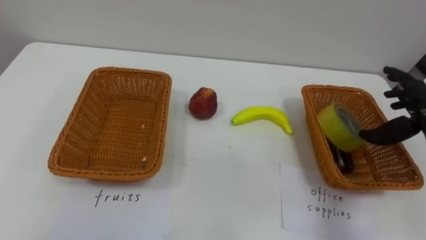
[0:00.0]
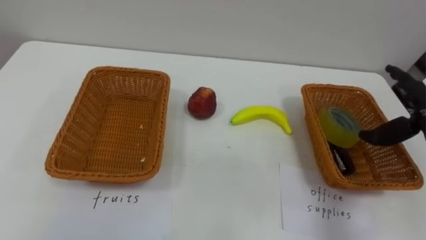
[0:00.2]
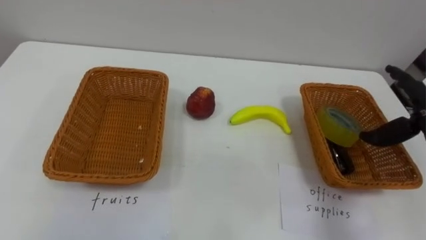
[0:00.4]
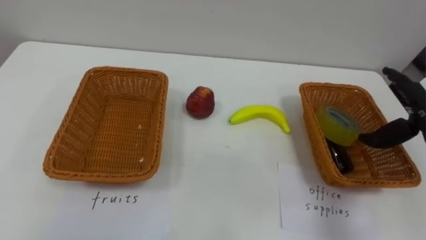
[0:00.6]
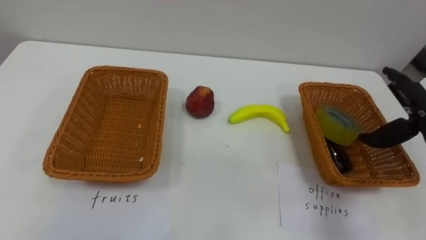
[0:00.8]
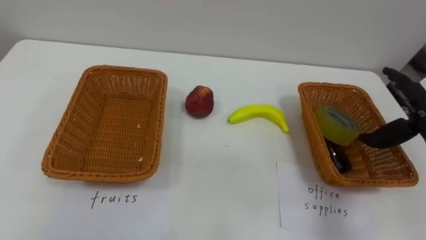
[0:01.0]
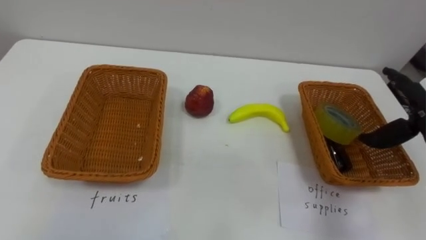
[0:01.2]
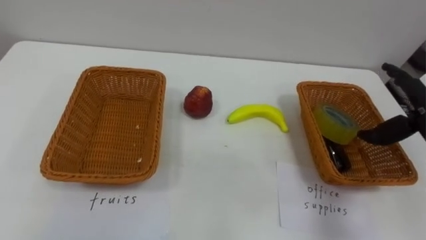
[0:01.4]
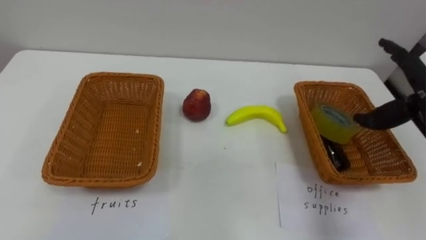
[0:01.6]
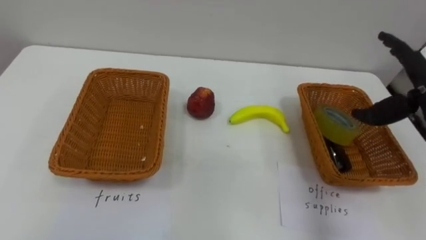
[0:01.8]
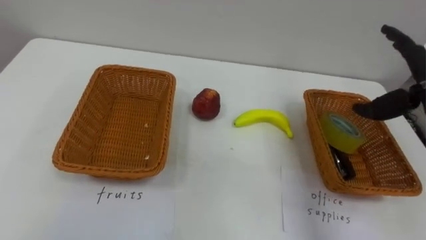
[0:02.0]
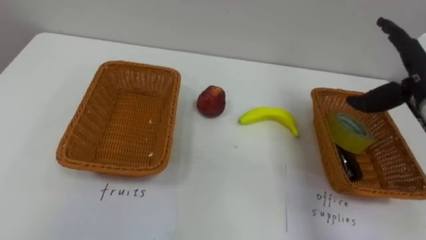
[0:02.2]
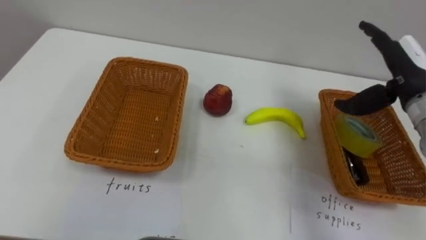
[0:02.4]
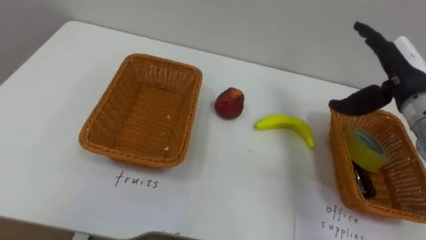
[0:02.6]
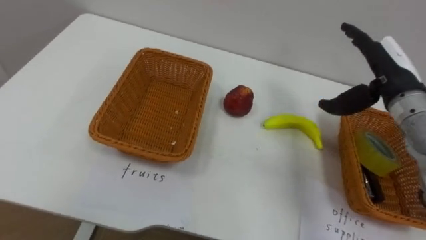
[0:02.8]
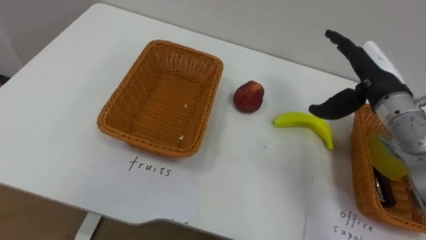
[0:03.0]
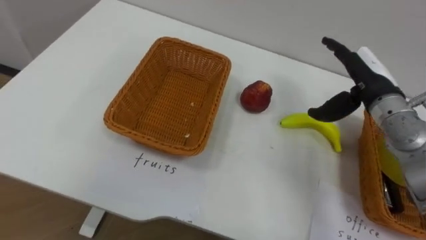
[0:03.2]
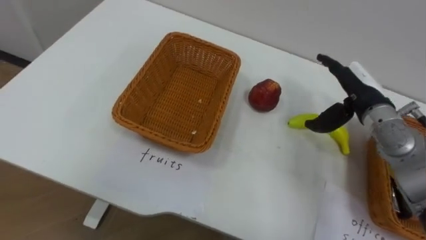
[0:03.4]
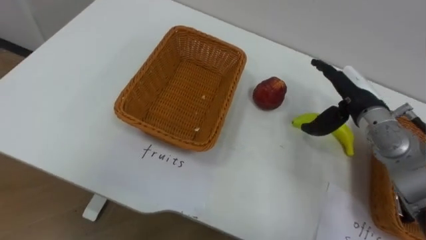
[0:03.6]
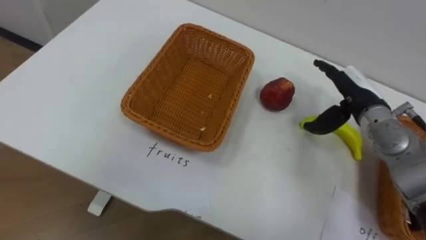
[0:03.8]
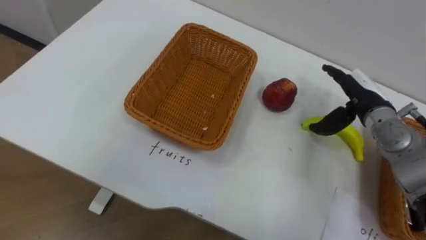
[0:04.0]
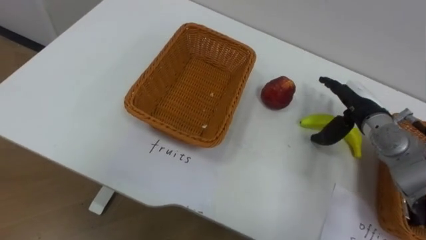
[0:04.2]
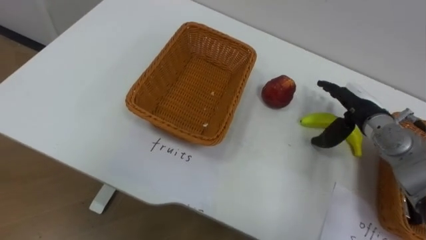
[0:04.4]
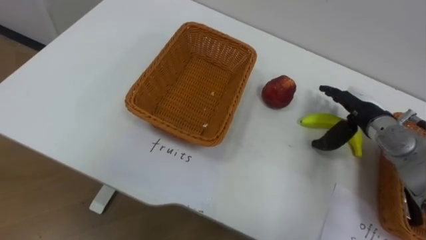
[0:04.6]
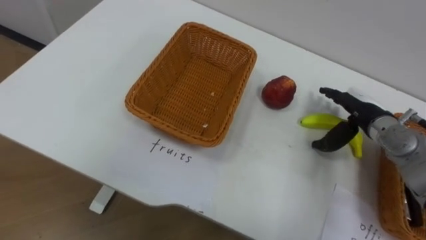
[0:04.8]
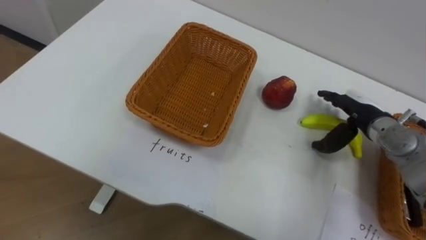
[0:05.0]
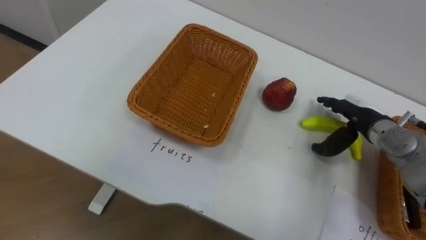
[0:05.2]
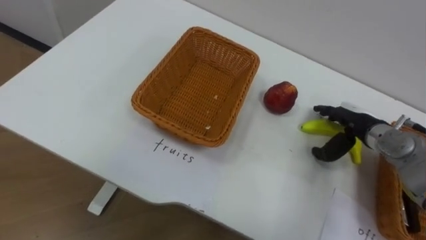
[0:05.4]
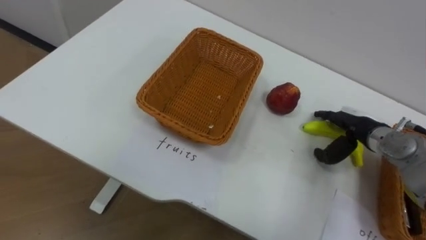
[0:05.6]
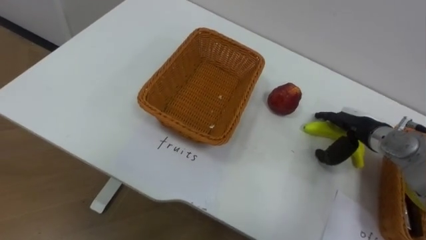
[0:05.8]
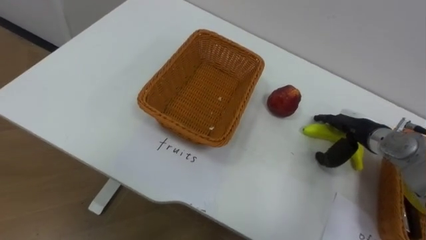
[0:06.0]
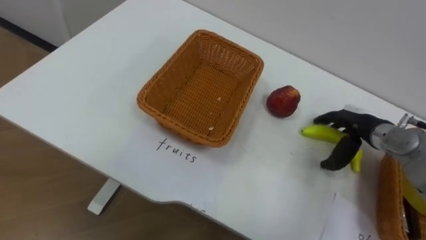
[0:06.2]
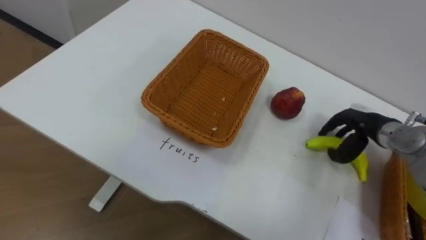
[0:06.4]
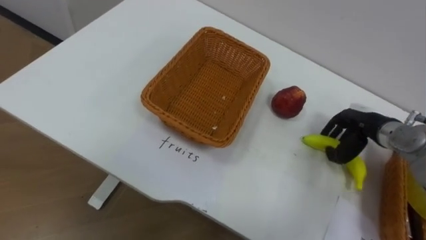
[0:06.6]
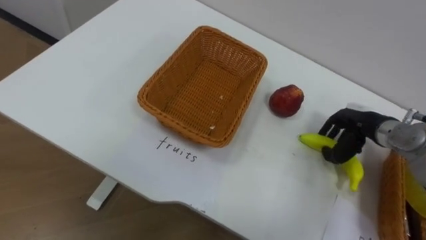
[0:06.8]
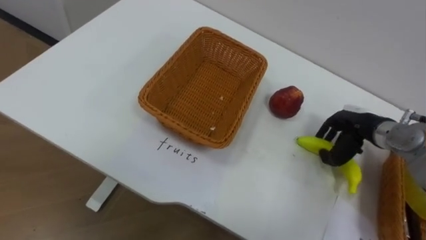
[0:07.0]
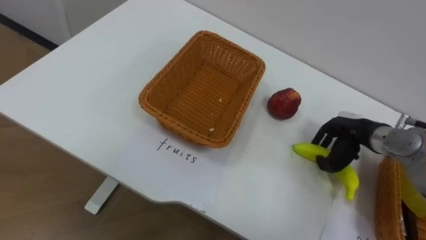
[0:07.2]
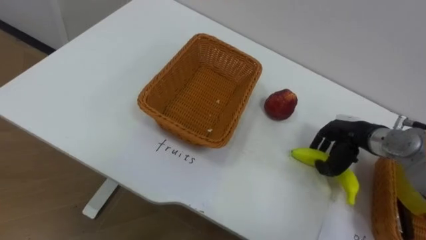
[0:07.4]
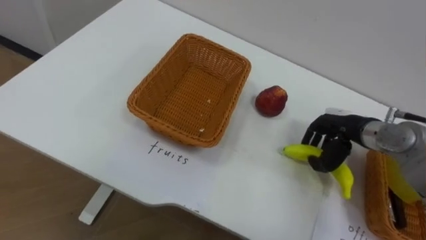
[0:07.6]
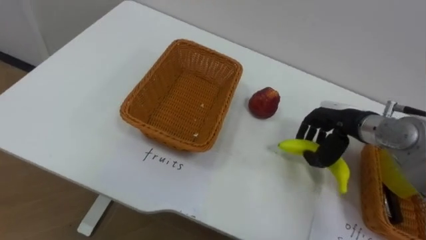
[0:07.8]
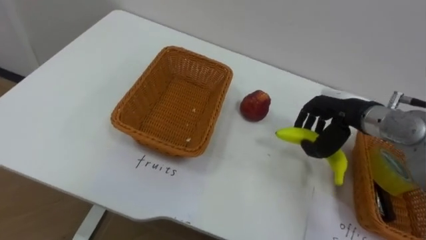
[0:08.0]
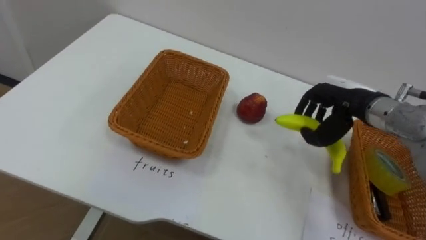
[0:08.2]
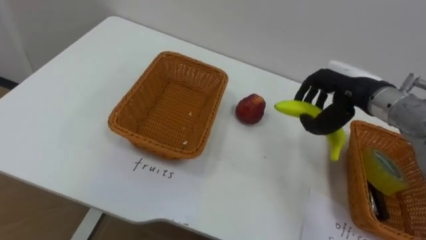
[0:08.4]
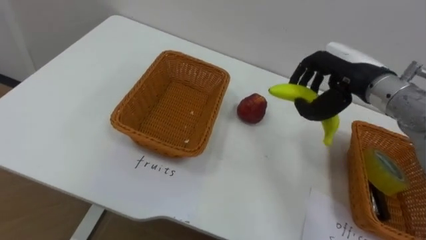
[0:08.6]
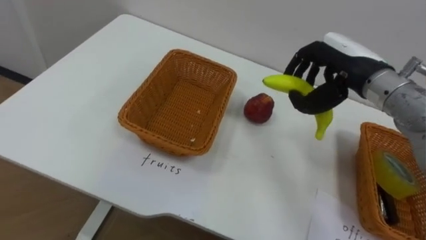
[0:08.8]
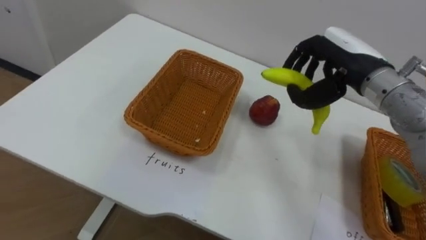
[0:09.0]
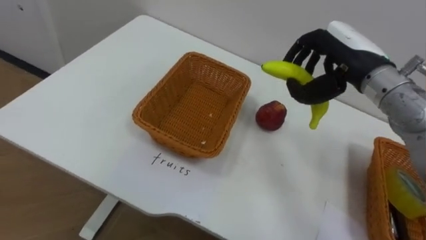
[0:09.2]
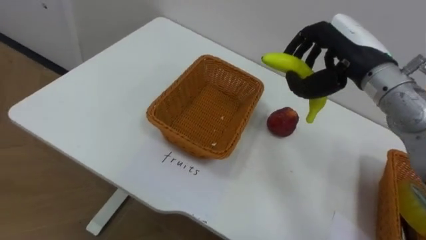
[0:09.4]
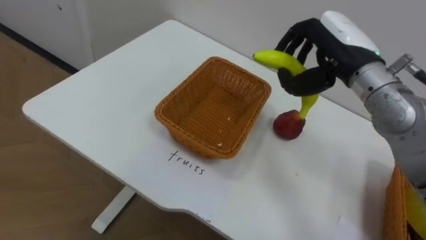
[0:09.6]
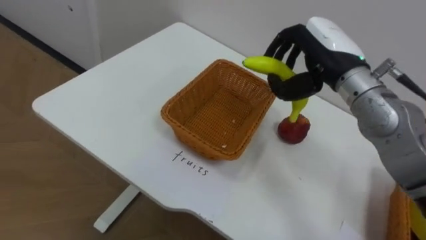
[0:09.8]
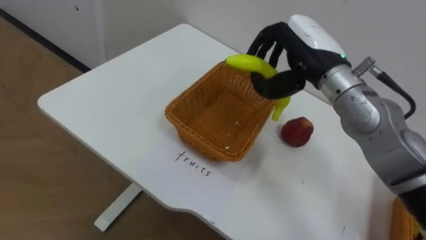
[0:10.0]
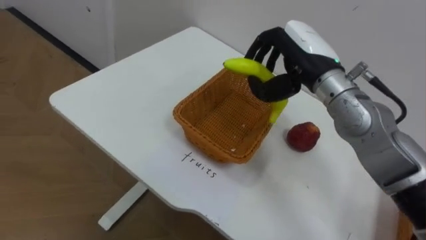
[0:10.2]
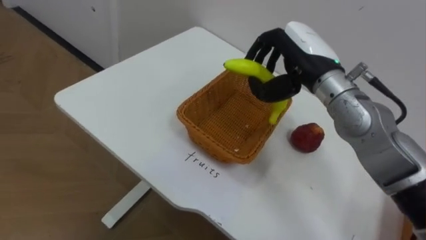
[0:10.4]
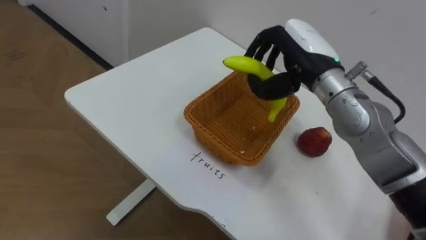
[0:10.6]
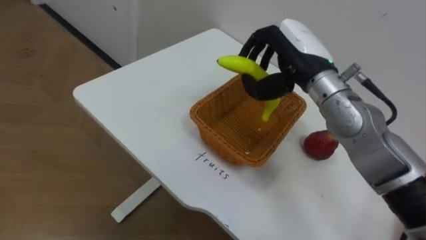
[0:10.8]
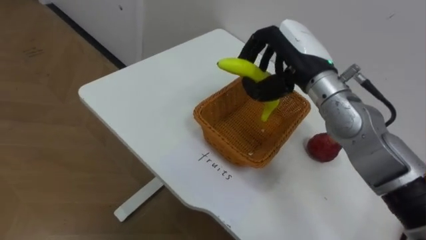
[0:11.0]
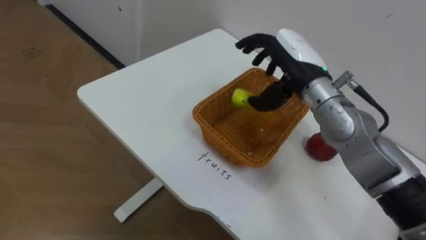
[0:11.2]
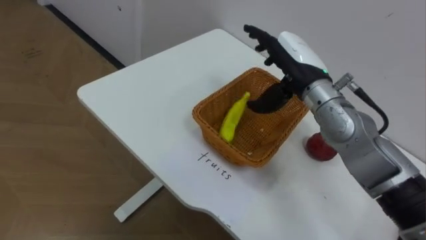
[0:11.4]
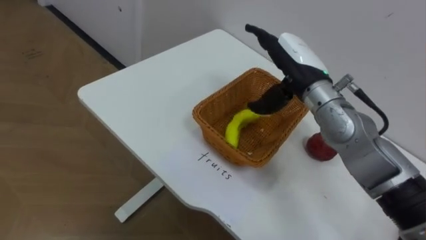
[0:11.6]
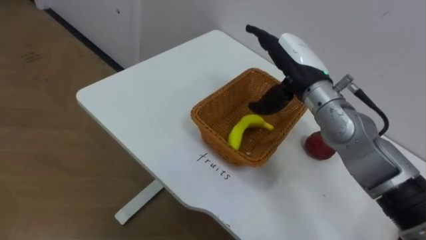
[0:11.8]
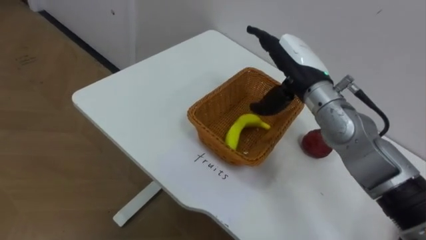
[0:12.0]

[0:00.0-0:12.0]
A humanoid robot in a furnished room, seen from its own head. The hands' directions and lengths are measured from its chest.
Task of the whole recording: Separate the items on the table and place them into the two baskets.
0:03.0 to 0:04.4: The right hand is displaced downward by approximately 10 cm.
0:04.4 to 0:06.0: The right hand moves about 5 cm.
0:06.0 to 0:07.6: The right hand closes.
0:07.6 to 0:09.0: The right hand heads upward, covering some 15 cm.
0:09.0 to 0:10.4: The right hand moves to the left, about 5 cm.
0:10.4 to 0:12.0: The right hand opens up.

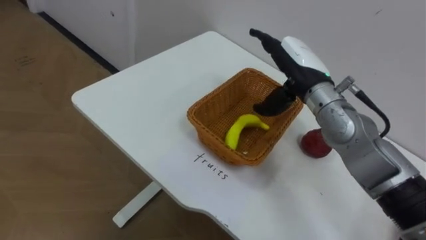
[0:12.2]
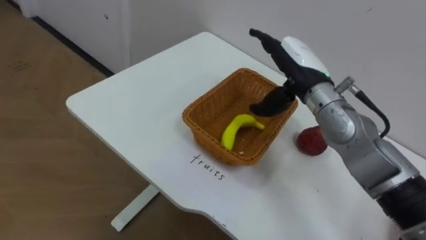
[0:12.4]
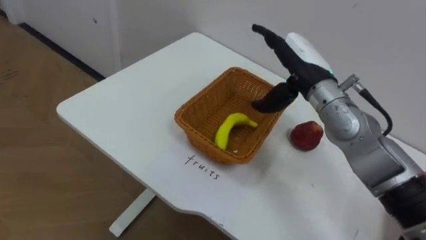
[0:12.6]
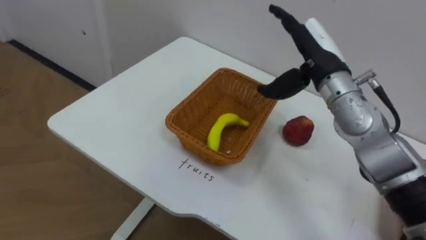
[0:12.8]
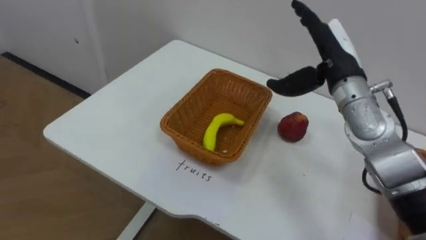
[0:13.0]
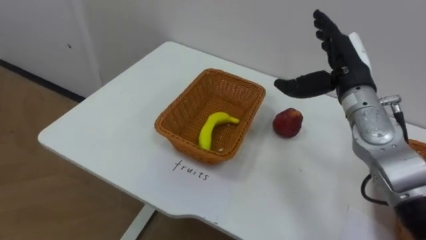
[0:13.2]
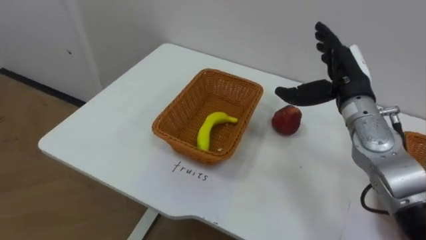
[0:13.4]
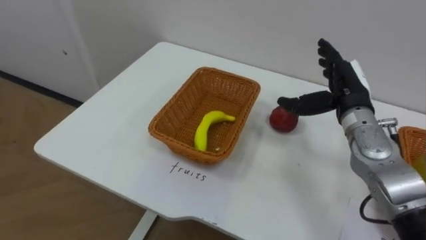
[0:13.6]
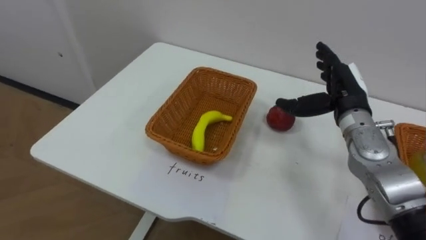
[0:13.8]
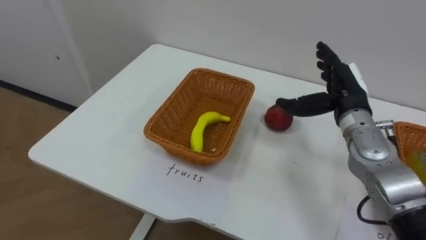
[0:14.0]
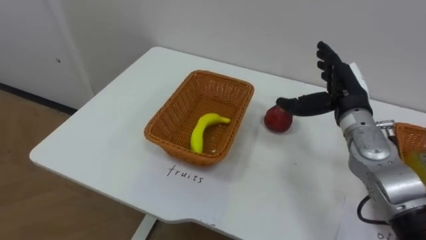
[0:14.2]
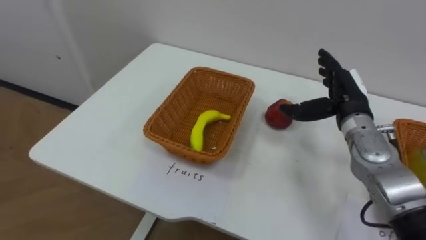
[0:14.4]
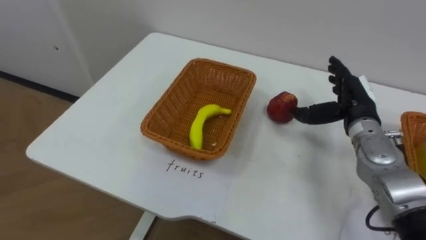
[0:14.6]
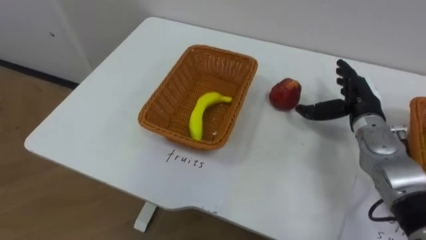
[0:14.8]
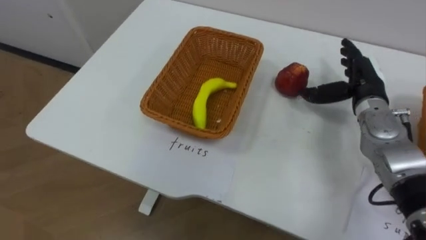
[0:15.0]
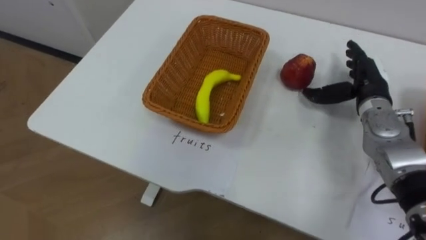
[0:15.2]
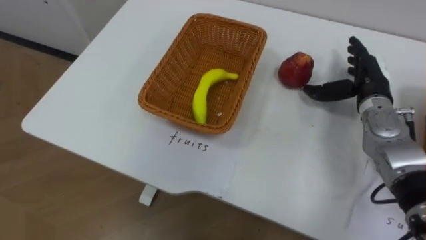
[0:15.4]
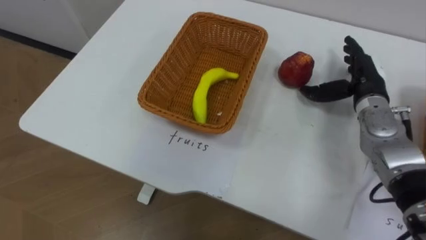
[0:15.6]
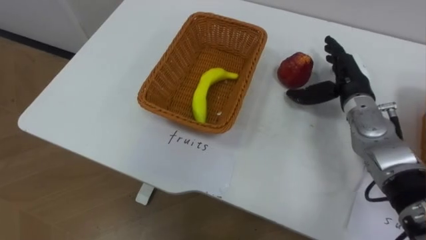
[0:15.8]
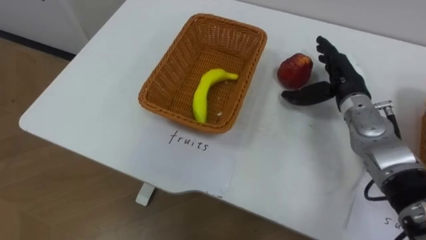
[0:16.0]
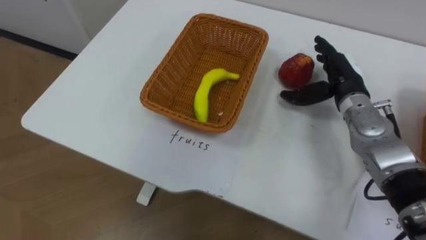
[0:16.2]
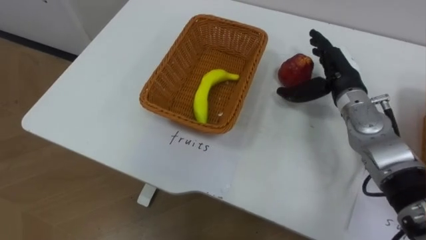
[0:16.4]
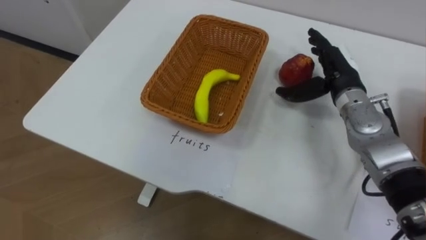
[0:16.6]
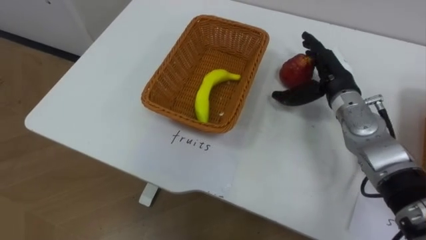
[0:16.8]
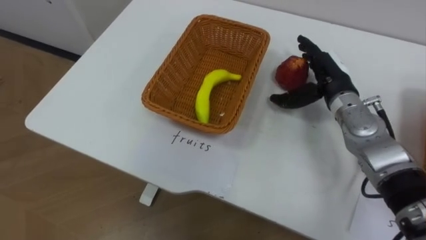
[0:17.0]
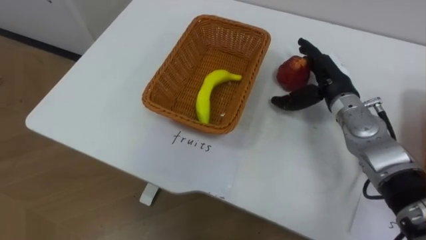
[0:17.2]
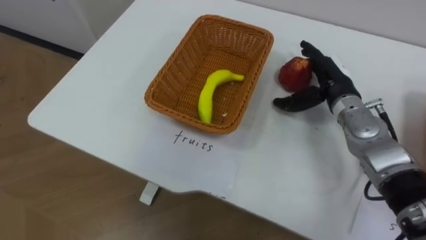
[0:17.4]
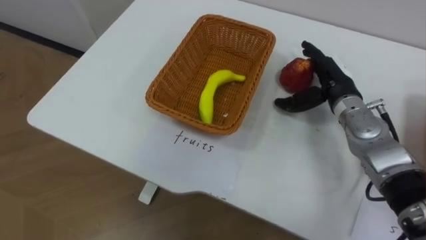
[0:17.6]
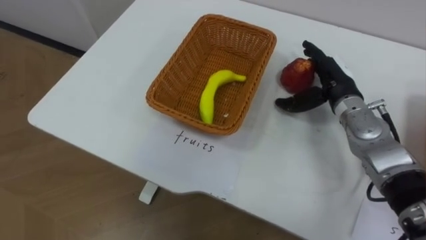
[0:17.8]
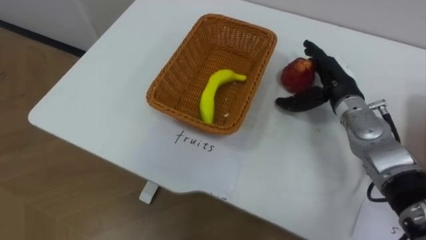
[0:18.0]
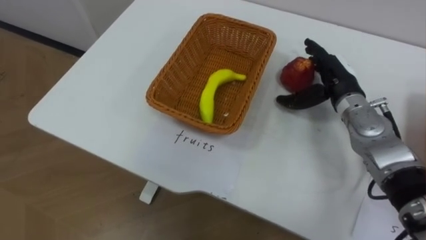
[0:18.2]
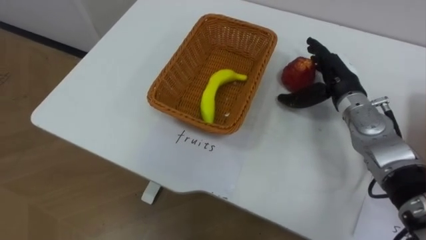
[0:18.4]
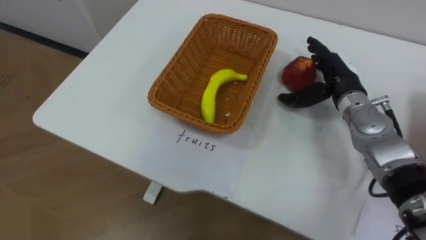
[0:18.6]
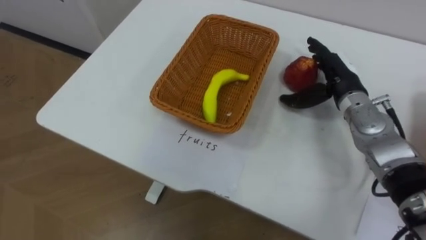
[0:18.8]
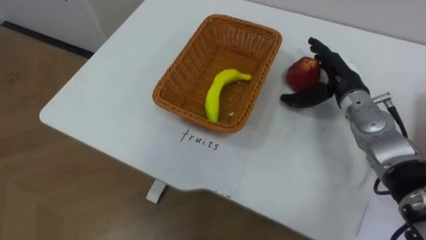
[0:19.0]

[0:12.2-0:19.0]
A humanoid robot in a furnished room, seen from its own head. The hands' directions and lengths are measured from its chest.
Task of the whole recording: Separate the items on the table and place them into the two baskets.
0:12.2 to 0:13.6: The right hand shifts about 10 cm to the right.
